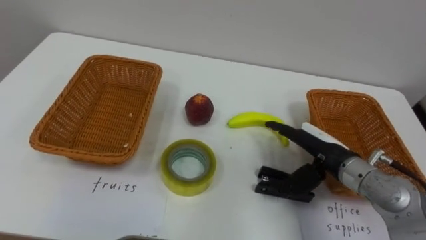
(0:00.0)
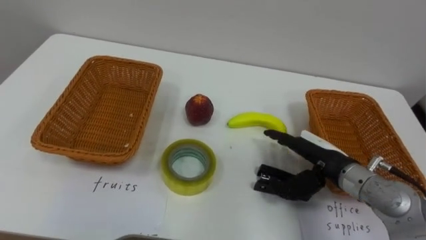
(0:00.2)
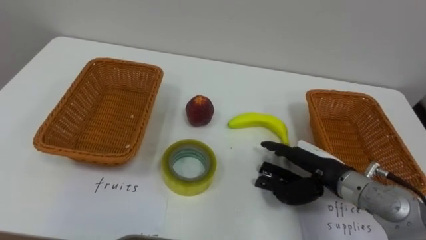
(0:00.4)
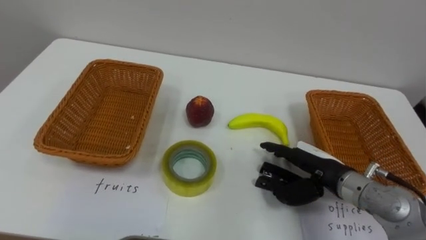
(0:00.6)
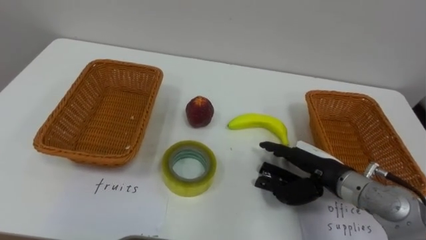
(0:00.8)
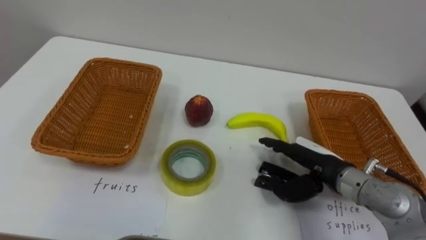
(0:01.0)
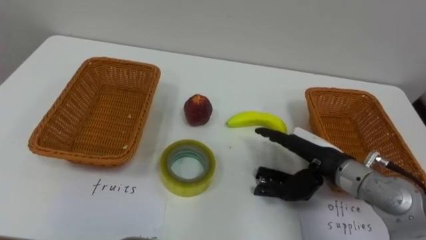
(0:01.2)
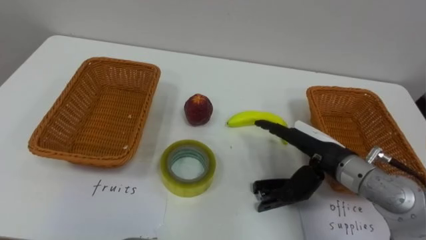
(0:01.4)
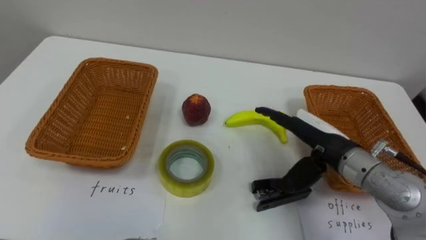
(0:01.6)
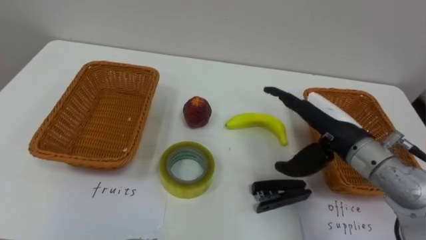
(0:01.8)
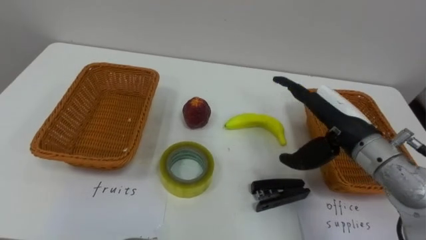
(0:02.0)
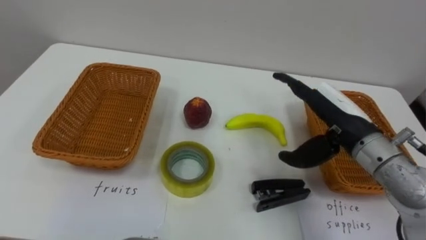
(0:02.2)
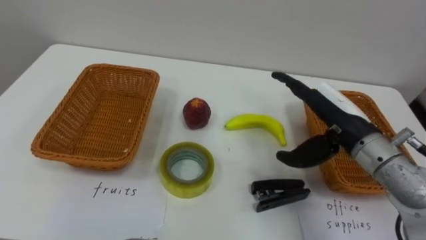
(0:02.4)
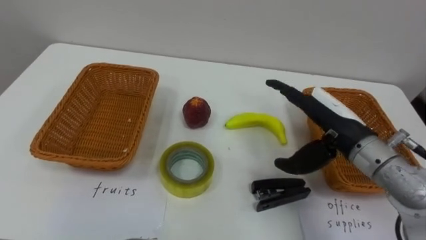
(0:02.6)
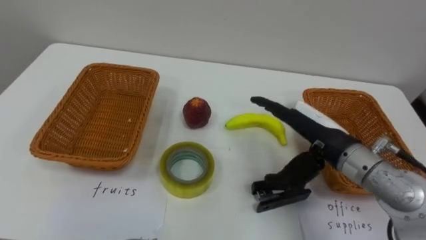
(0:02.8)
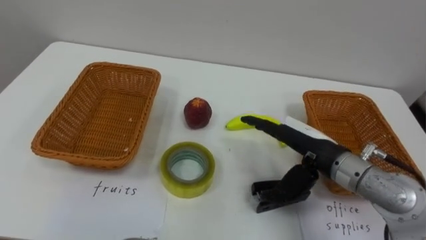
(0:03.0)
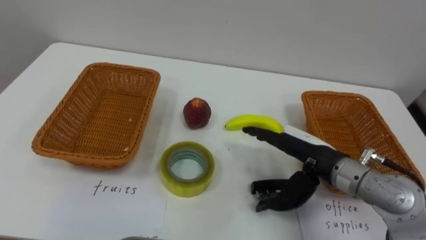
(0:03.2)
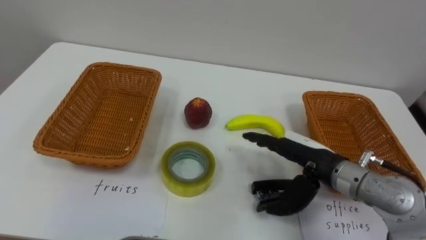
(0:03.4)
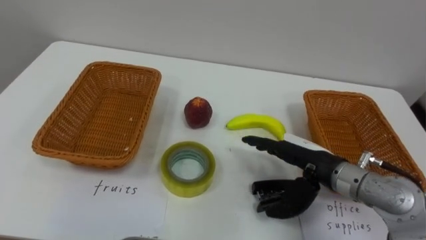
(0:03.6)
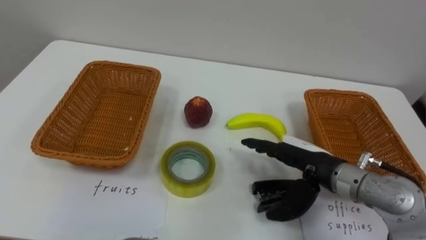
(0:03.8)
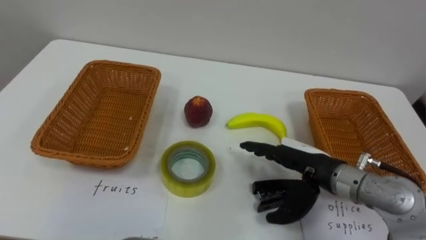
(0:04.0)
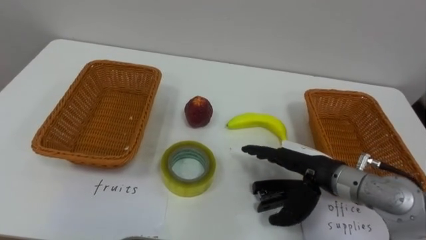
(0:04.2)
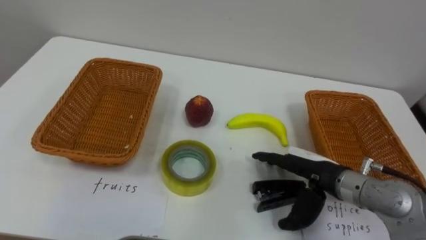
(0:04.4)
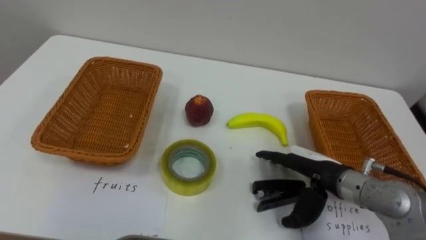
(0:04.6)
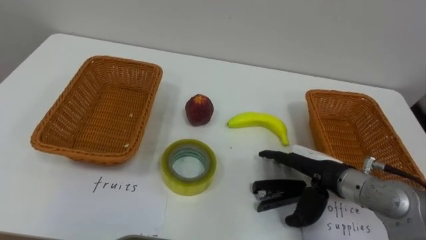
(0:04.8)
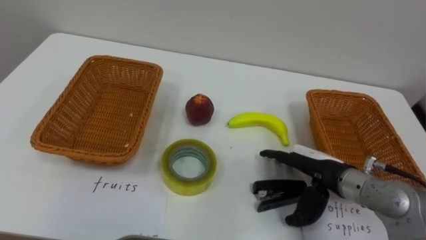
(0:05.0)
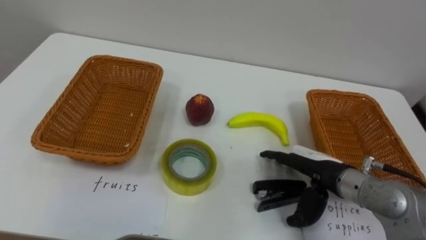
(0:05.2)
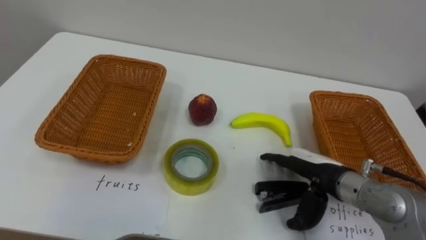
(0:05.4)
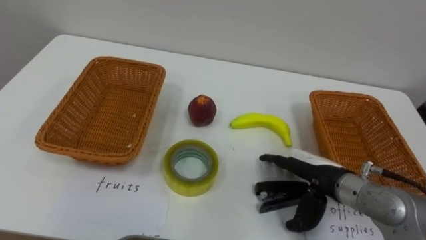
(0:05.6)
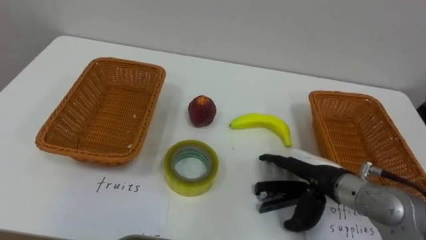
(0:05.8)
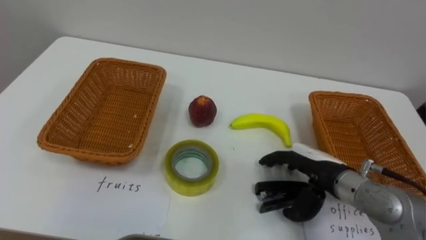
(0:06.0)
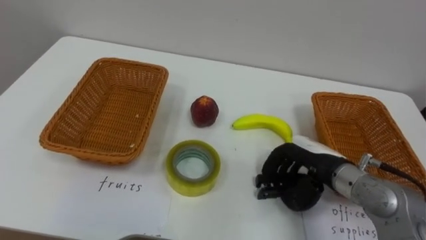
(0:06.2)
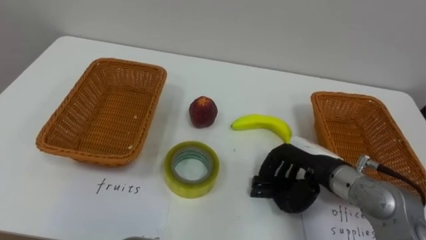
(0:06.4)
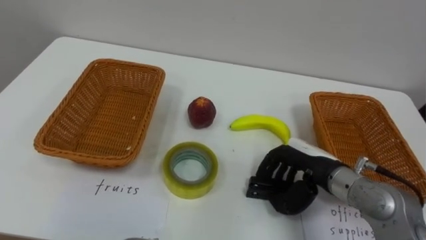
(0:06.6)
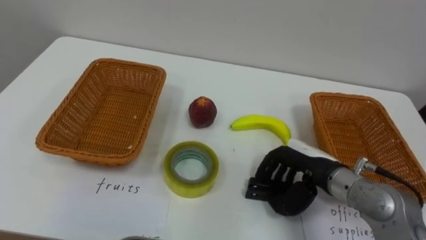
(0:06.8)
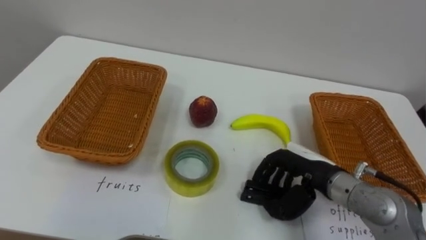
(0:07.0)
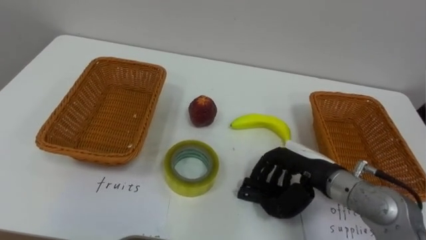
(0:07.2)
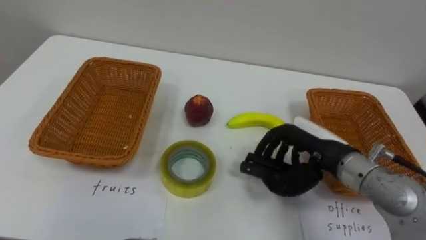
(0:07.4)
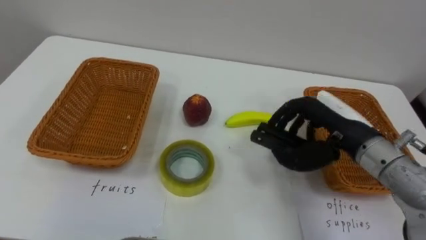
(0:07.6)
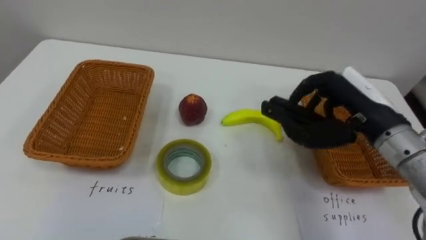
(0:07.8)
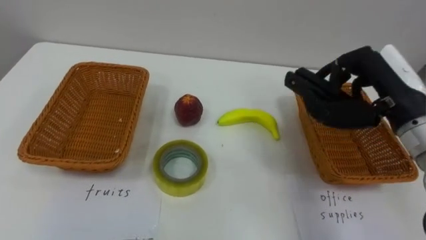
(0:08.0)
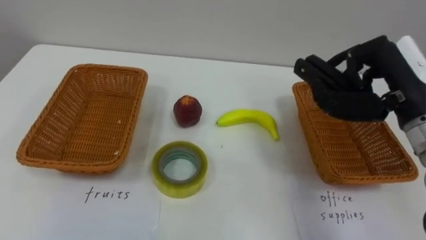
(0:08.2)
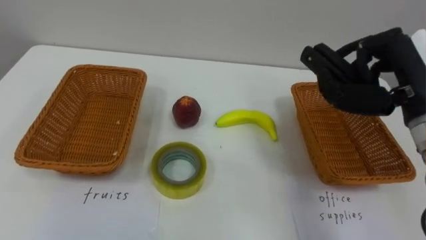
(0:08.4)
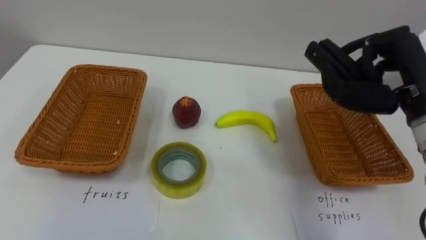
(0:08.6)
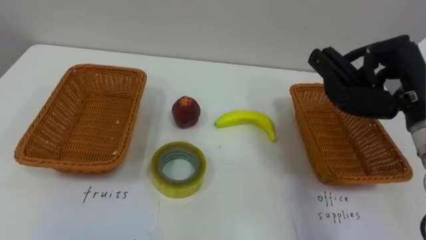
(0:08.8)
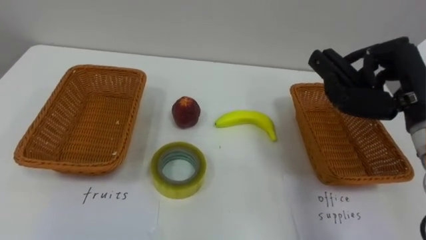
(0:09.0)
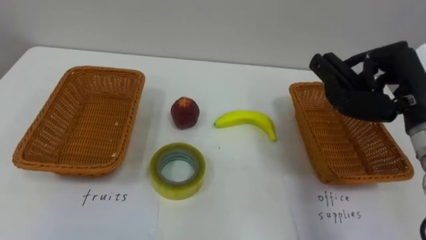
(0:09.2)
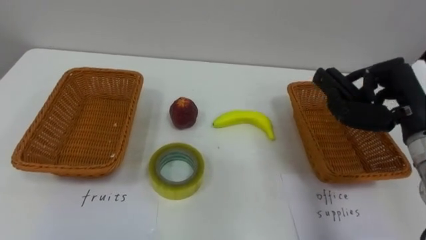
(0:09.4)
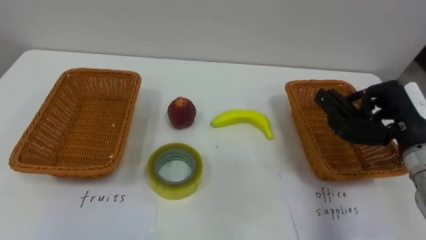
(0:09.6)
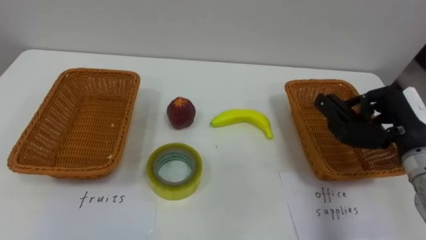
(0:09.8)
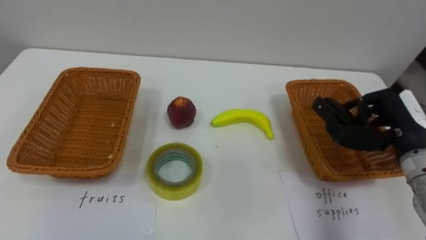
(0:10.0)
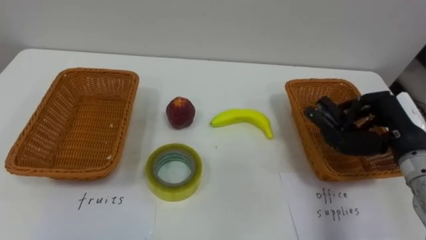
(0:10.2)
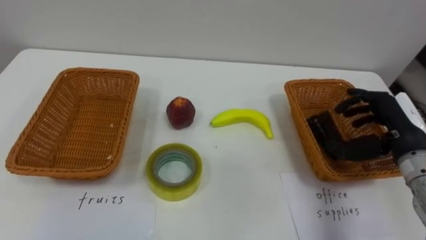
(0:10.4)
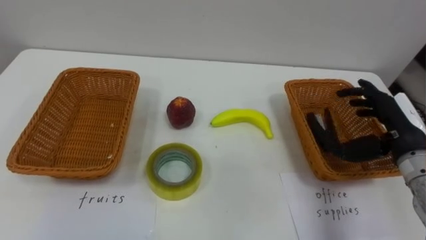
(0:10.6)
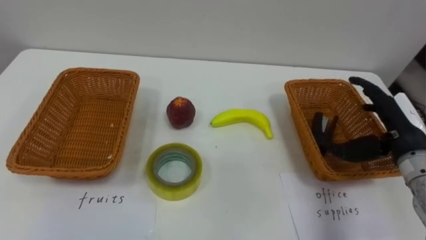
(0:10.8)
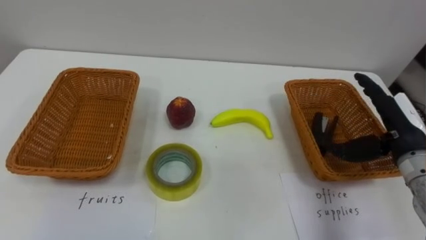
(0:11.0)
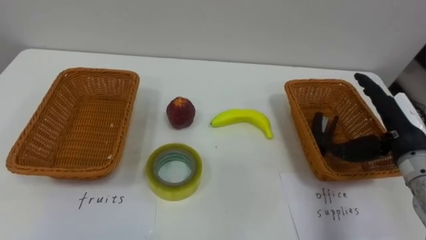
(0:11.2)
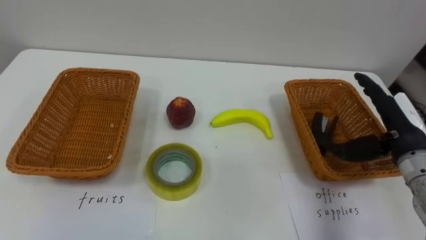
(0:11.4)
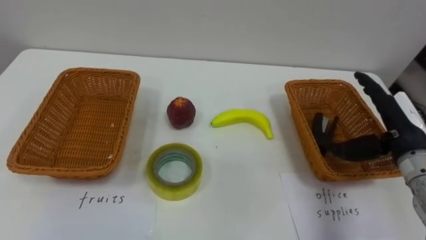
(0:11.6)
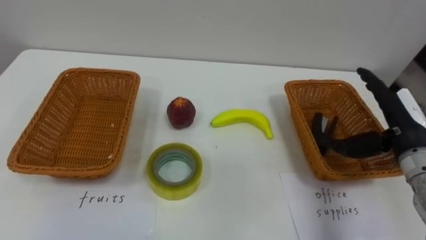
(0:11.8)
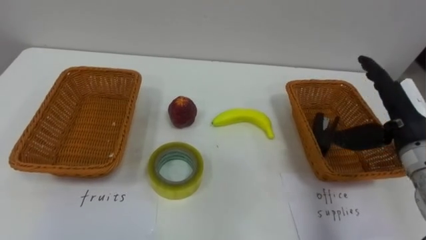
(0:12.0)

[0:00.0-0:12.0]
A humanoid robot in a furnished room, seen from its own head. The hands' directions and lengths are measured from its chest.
Task of the whole recording: Separate the items on the table and place them into the two baskets.
0:03.0 to 0:04.4: The right hand shifts roughly 5 cm downward.
0:06.0 to 0:07.6: The right hand travels upward by about 10 cm, and closes.
0:07.6 to 0:09.0: The right hand travels to the right and upward by some 10 cm.
0:09.0 to 0:10.4: The right hand shifts approximately 10 cm downward, and opens up.
0:10.4 to 0:12.0: The right hand opens up.

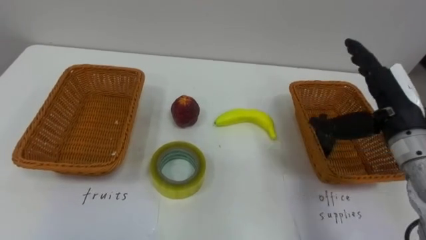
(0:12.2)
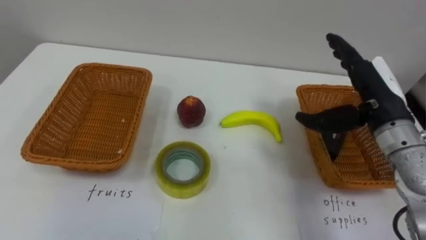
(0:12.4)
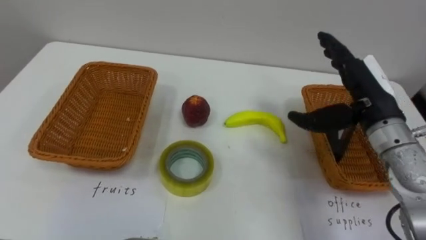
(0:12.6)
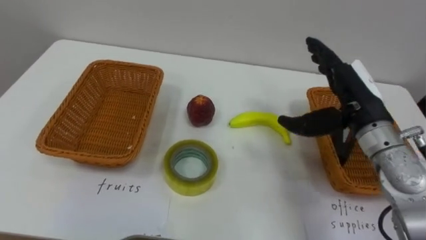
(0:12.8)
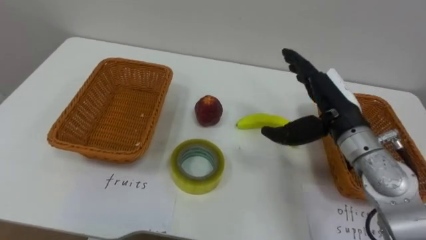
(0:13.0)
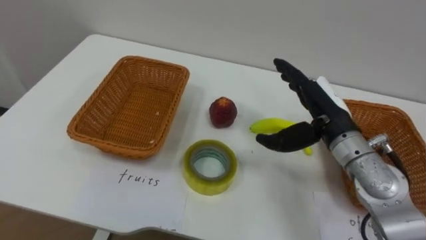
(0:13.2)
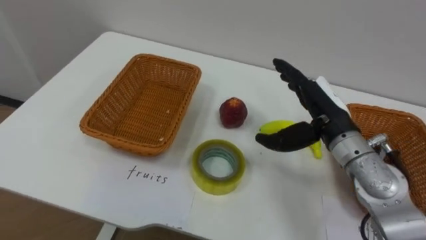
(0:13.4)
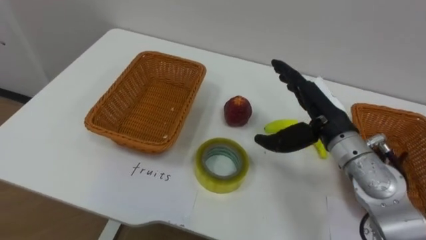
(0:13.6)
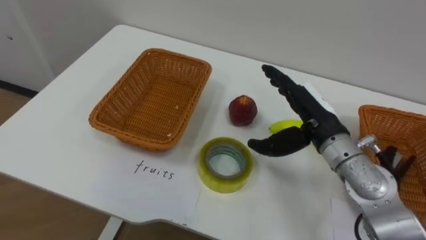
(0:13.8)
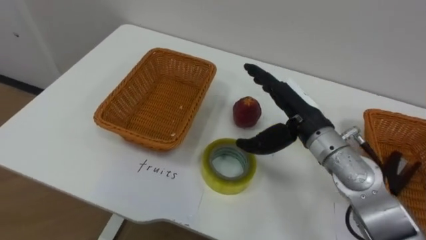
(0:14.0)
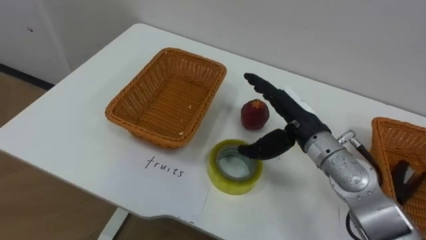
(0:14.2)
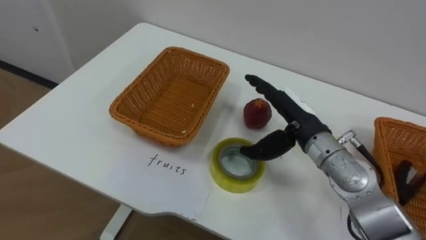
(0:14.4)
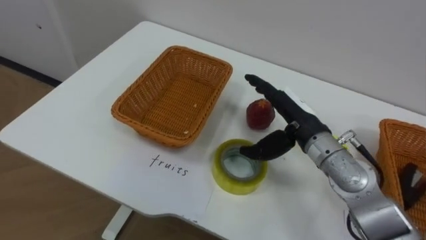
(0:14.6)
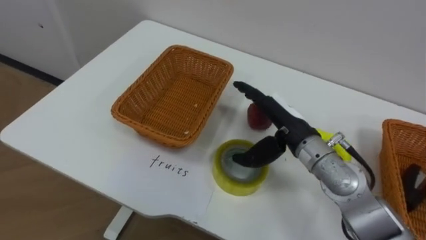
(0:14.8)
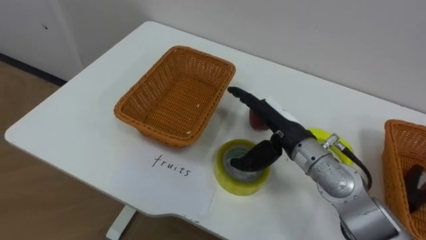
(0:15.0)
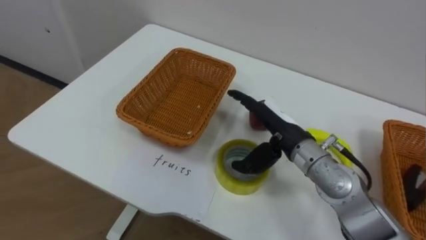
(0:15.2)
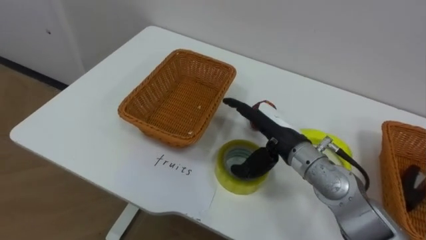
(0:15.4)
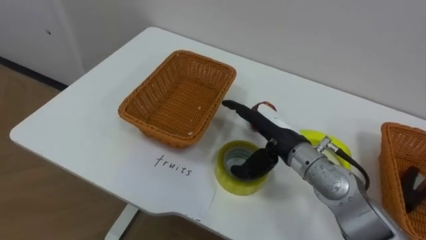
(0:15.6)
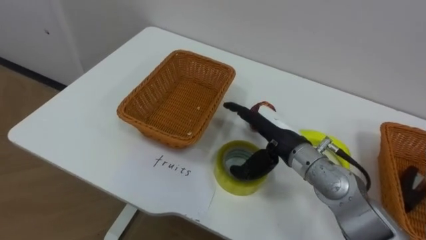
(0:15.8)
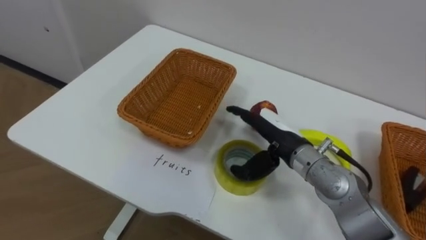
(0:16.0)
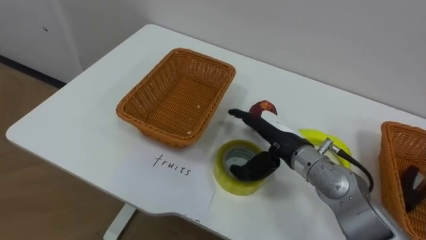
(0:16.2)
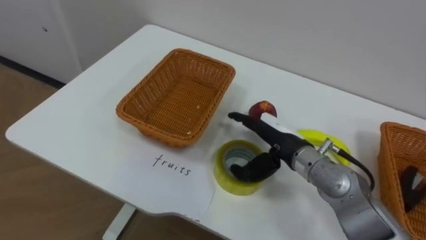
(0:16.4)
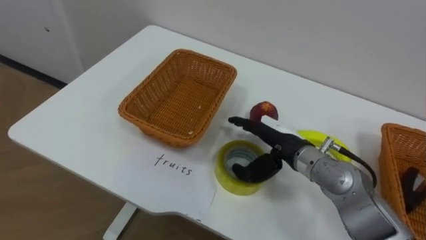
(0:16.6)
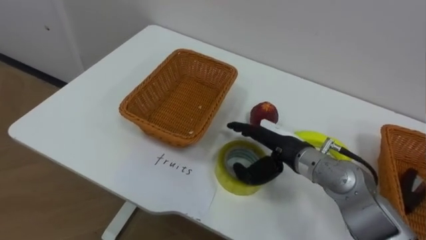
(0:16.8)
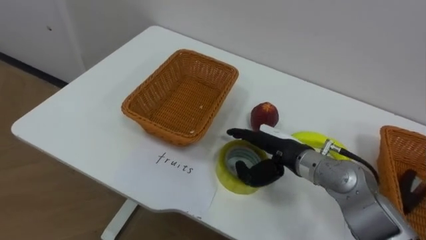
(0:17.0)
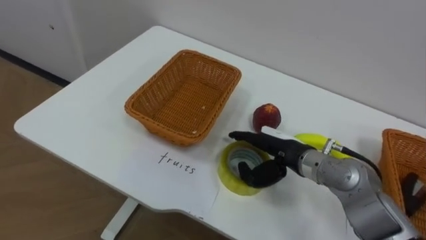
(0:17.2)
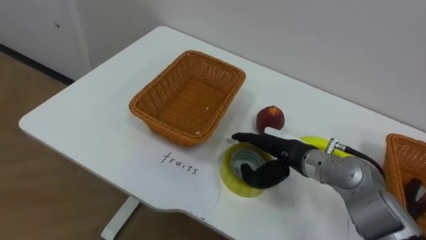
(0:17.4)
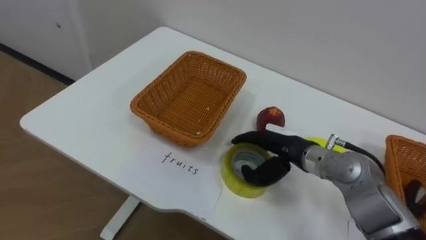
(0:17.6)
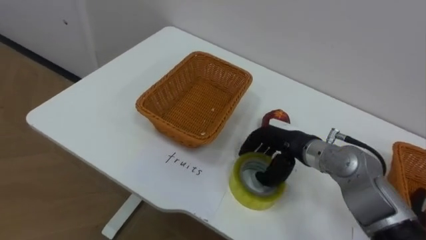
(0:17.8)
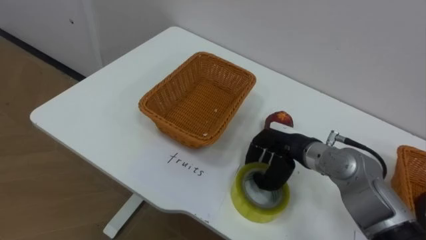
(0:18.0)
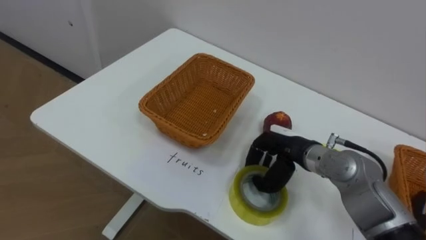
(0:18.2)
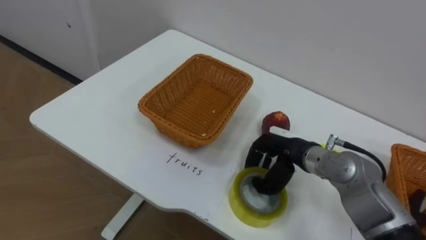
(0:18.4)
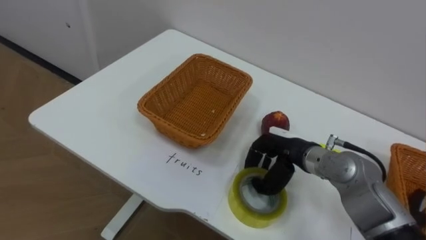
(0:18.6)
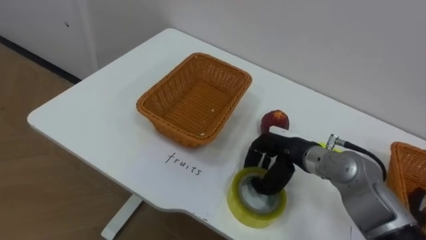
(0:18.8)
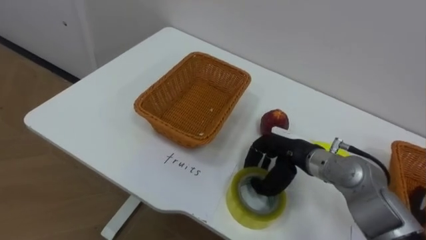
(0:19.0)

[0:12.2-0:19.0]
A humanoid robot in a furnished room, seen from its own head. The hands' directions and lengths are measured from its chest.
Task of the whole recording: Separate the items on the table and place them into the two baskets.
0:12.2 to 0:13.6: The right hand travels to the left by about 10 cm.
0:13.6 to 0:15.0: The right hand goes approximately 5 cm to the left.
0:17.6 to 0:19.0: The right hand closes its fingers.
